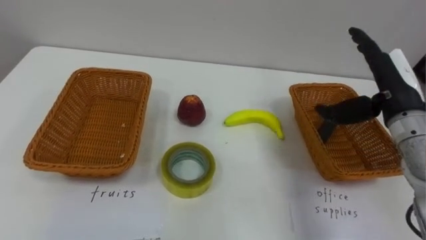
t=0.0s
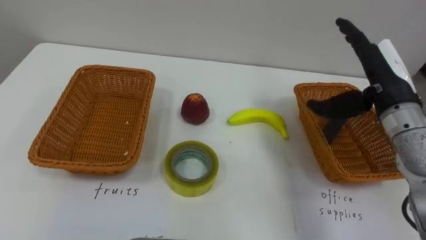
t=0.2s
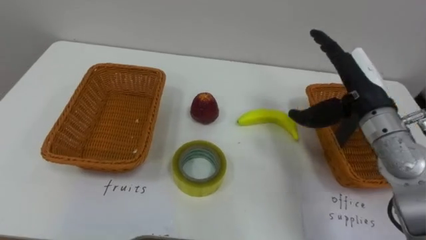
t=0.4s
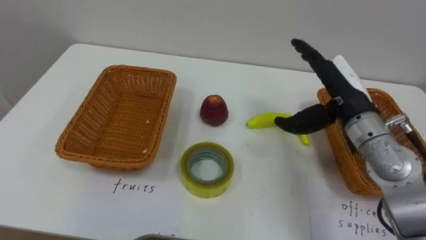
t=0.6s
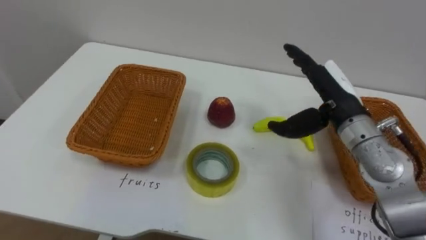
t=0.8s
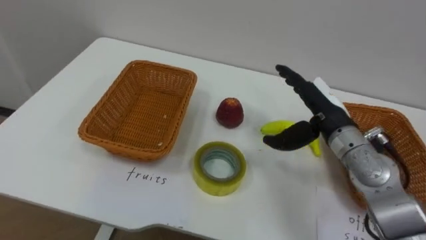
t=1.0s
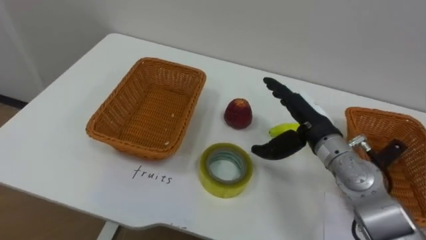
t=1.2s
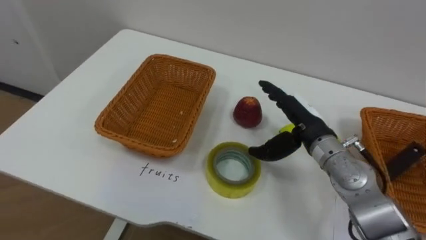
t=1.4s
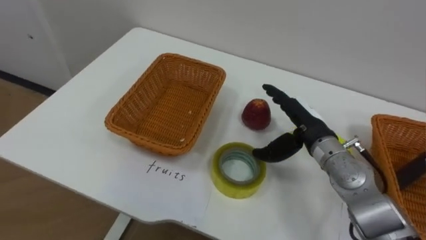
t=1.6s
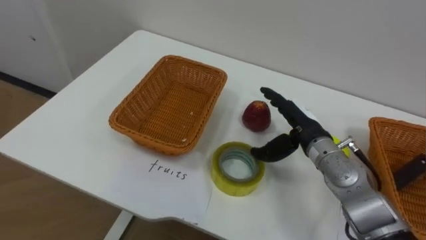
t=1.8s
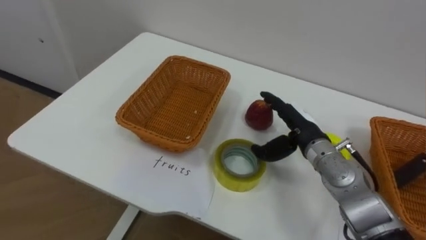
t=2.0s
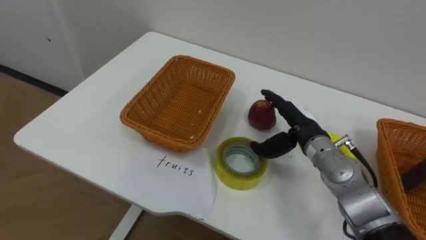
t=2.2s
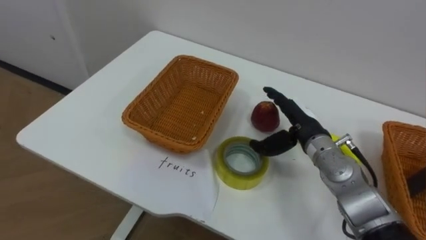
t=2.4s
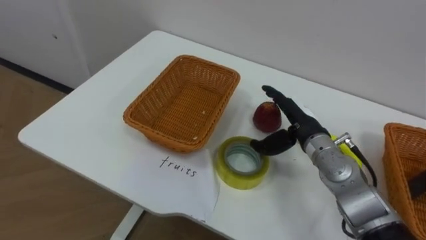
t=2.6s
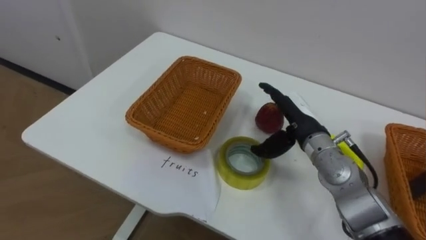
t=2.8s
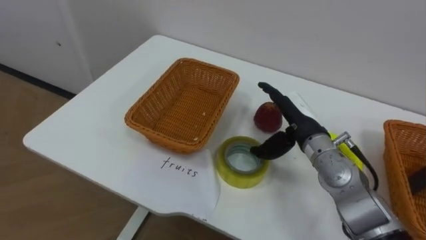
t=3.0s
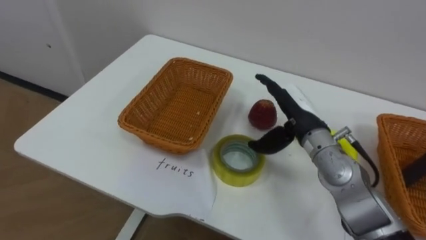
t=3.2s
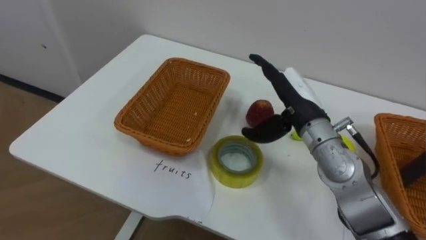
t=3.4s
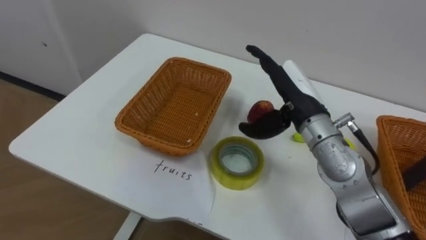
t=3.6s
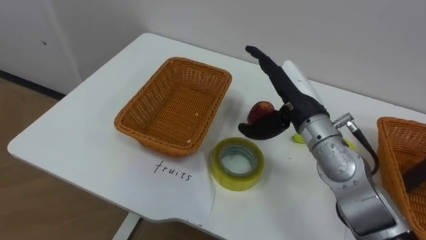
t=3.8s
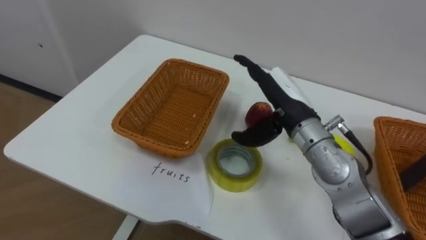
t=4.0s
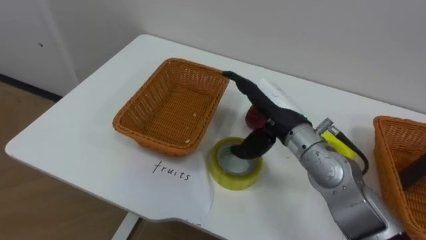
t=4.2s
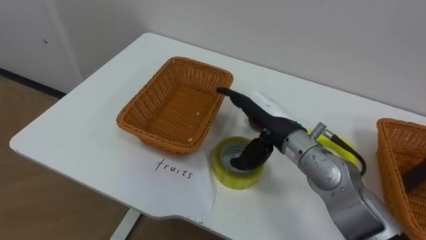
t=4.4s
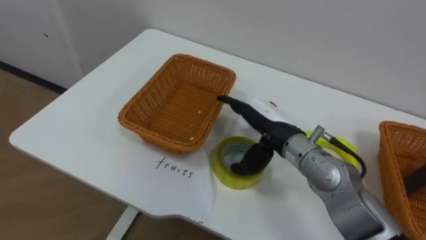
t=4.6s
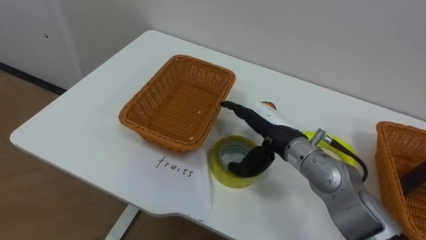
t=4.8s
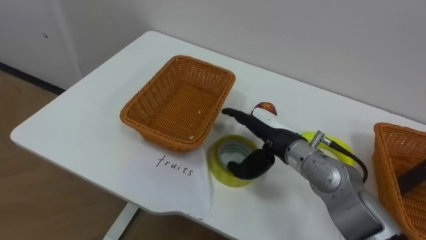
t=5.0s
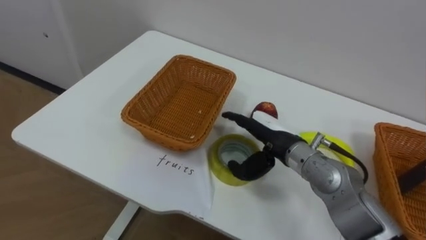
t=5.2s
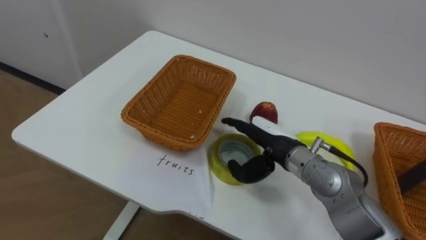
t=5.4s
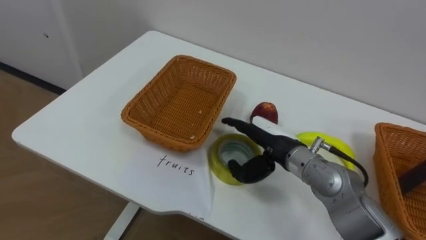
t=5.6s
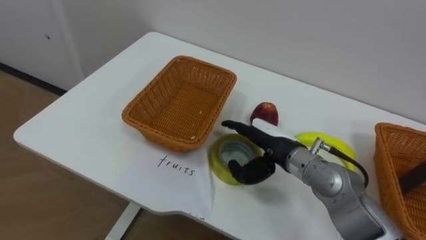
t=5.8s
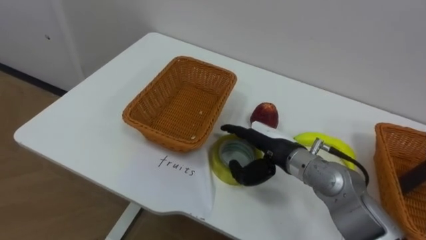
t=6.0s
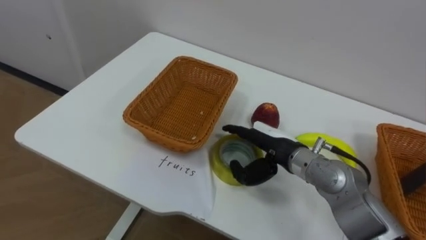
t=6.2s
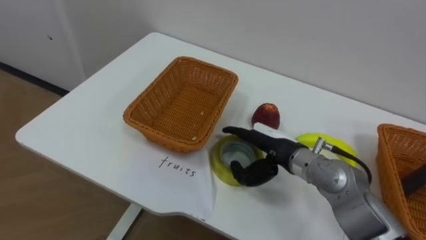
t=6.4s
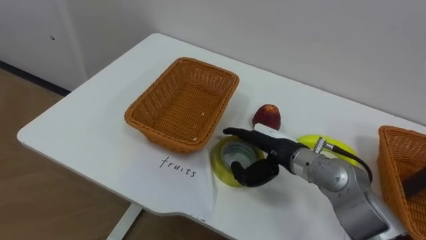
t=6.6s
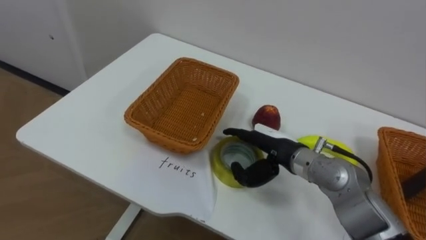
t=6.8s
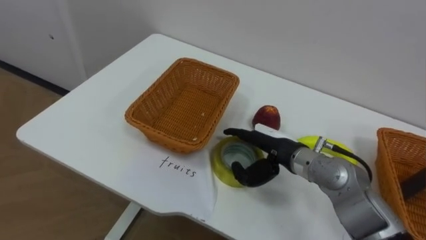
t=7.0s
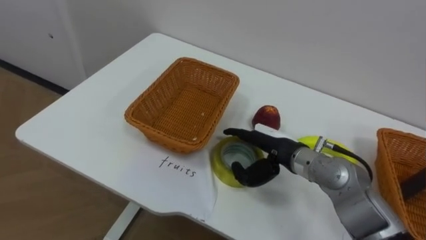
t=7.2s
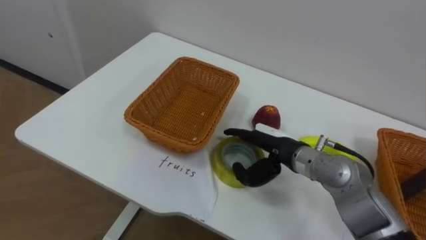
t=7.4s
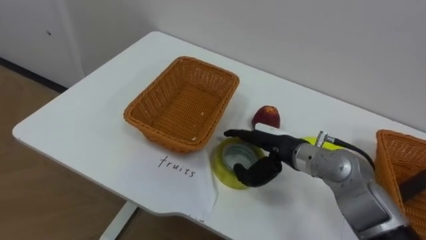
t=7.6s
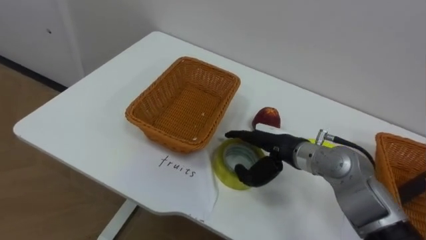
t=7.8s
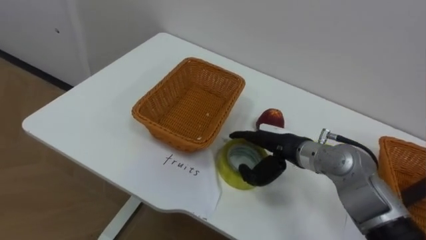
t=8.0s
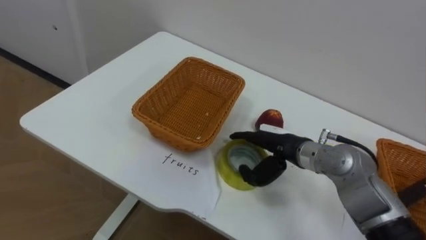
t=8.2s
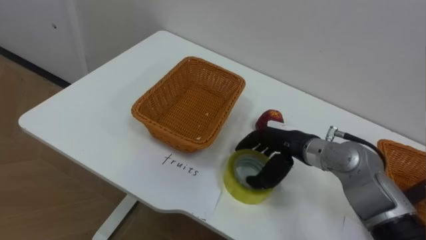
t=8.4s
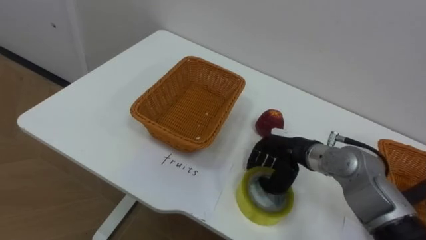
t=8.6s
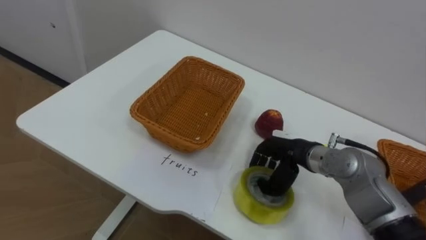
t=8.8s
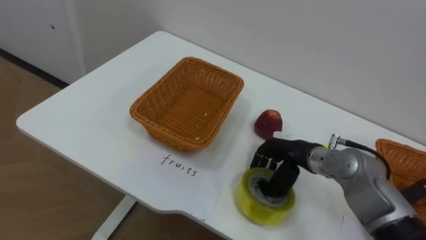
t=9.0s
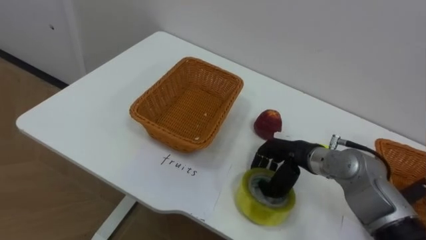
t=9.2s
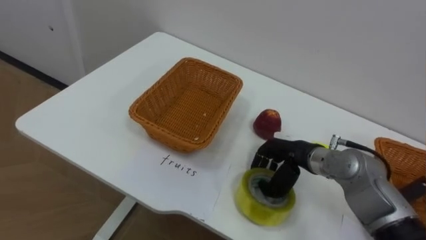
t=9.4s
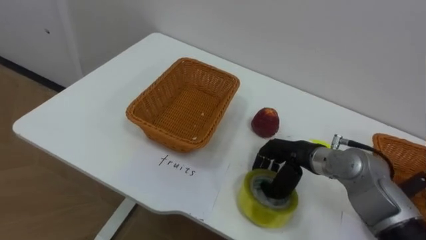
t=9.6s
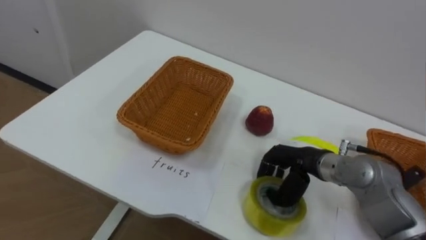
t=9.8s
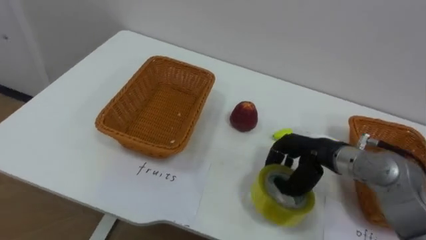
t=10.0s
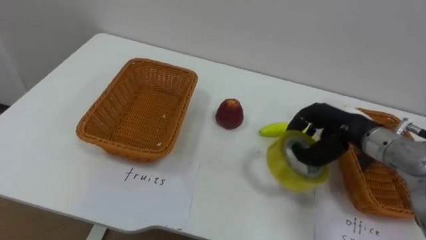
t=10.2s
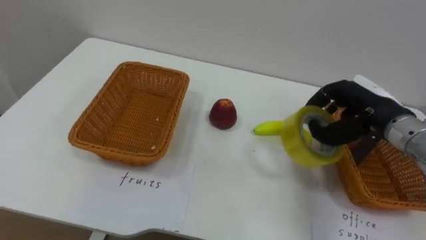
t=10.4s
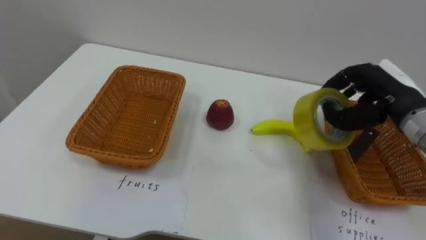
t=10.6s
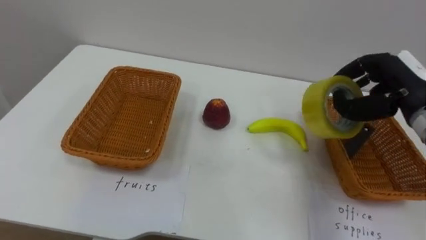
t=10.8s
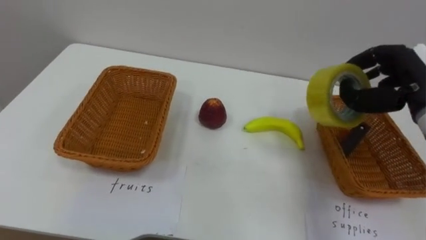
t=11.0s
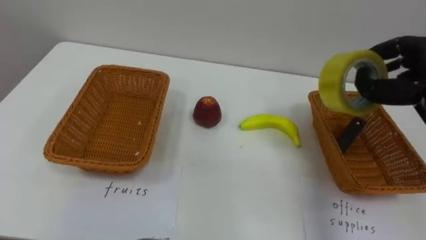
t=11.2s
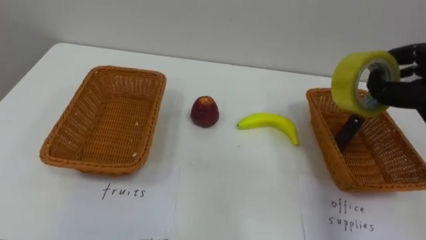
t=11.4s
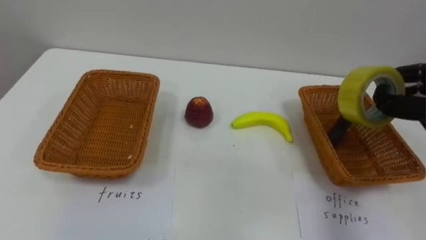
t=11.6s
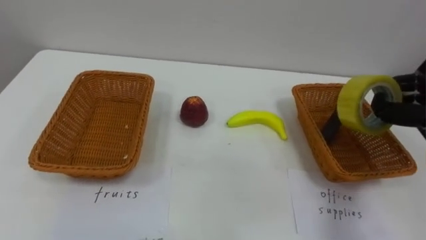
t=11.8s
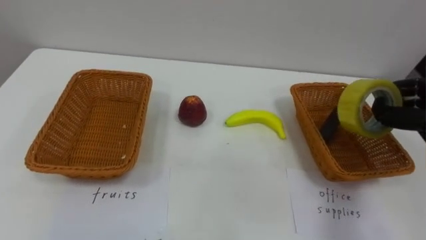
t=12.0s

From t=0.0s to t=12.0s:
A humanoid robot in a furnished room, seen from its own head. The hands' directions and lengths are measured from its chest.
Task of the whole recording: Separate the items on the table and place them into the two baskets.
From t=0.0s to t=1.6s: The right hand travels to the left and downward by approximately 15 cm.
From t=3.0s to t=4.4s: The right hand heads to the left, covering roughly 5 cm.
From t=4.4s to t=6.0s: The right hand goes some 5 cm downward.
From t=7.6s to t=9.0s: The right hand closes its fingers.
From t=9.0s to t=10.4s: The right hand is displaced upward and to the right by roughly 15 cm.

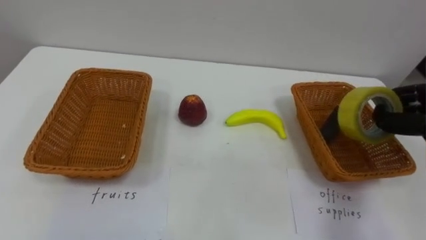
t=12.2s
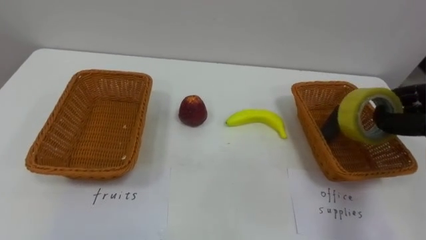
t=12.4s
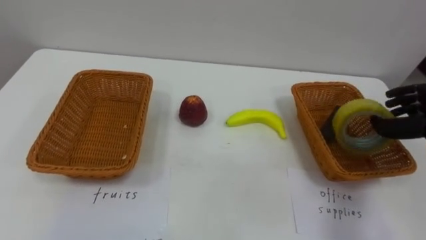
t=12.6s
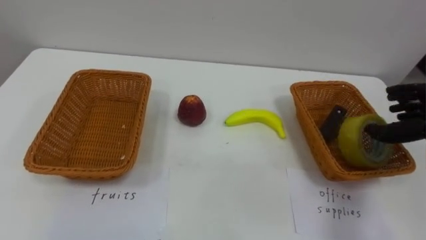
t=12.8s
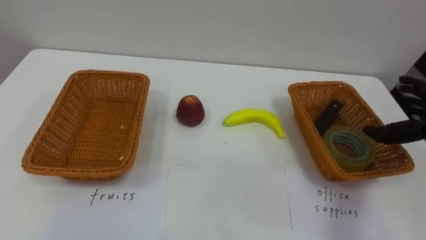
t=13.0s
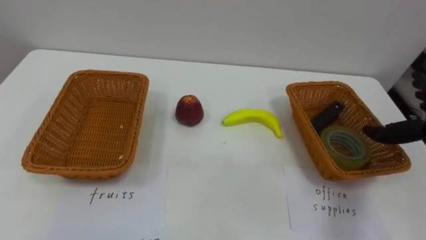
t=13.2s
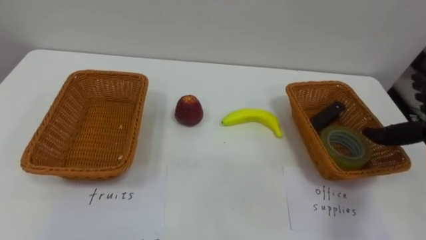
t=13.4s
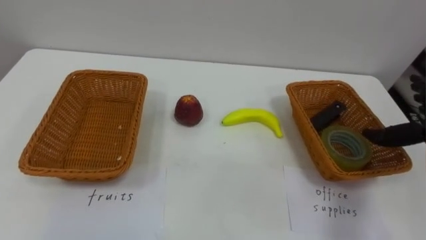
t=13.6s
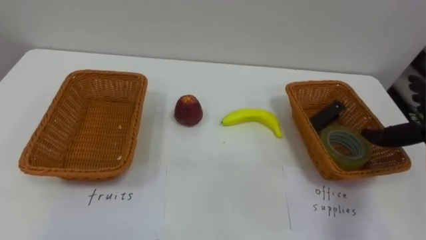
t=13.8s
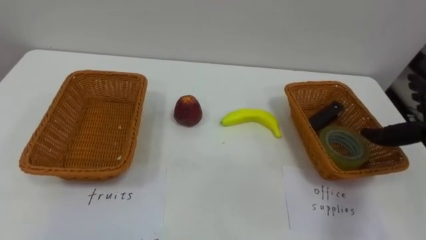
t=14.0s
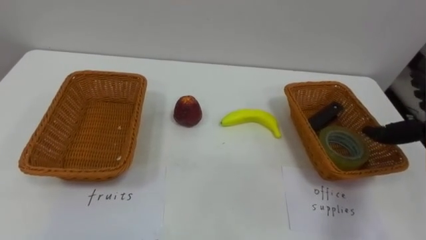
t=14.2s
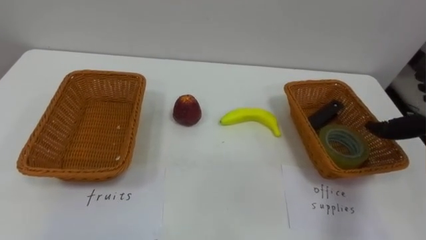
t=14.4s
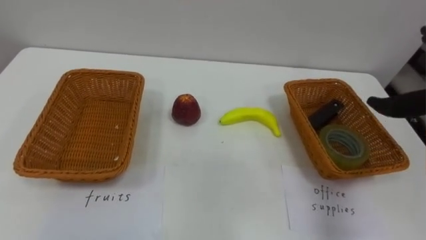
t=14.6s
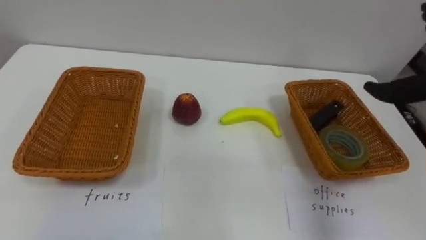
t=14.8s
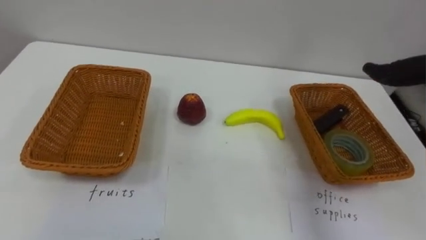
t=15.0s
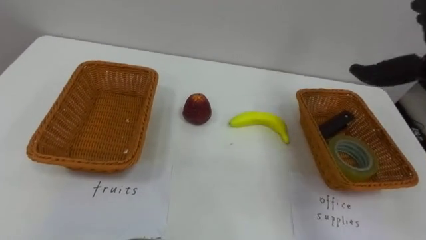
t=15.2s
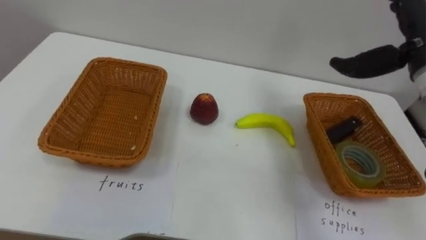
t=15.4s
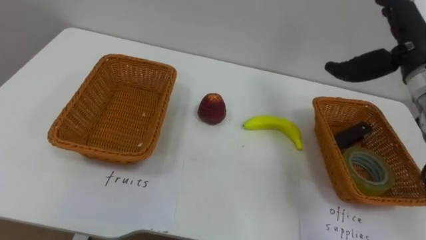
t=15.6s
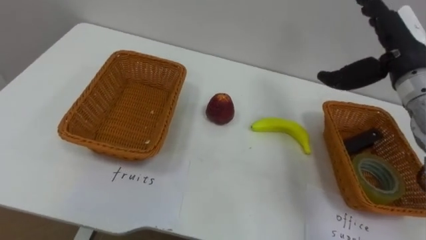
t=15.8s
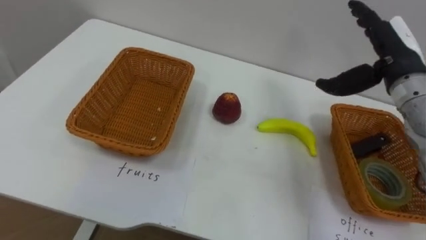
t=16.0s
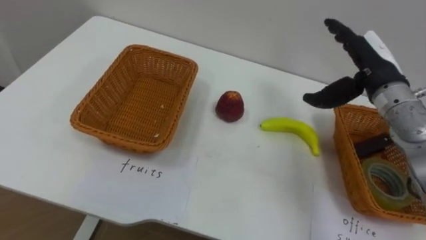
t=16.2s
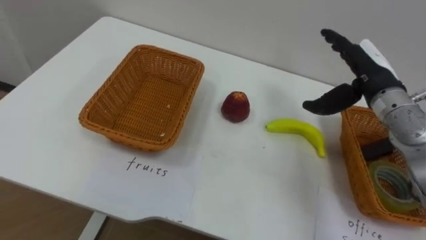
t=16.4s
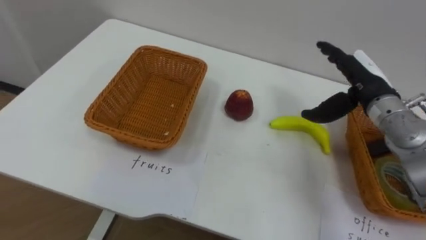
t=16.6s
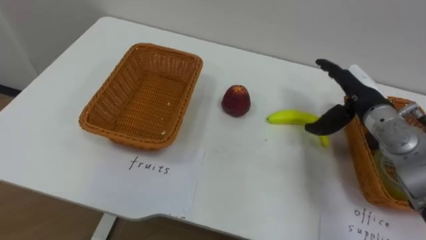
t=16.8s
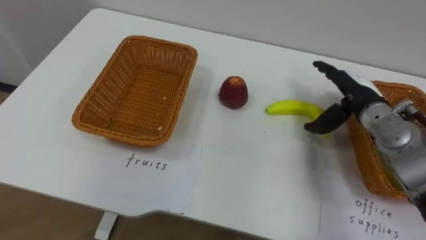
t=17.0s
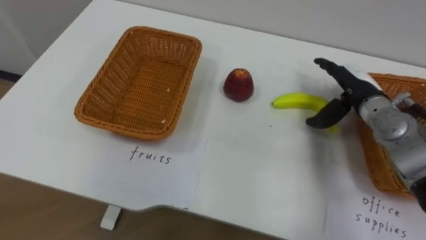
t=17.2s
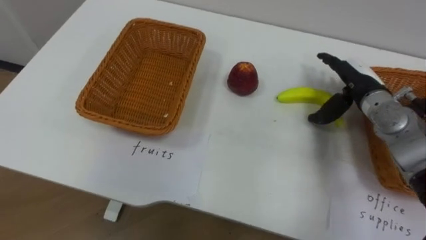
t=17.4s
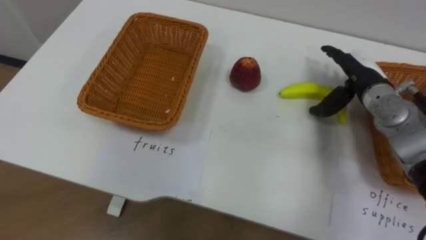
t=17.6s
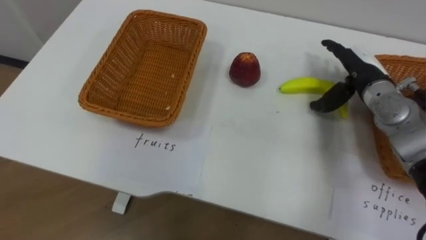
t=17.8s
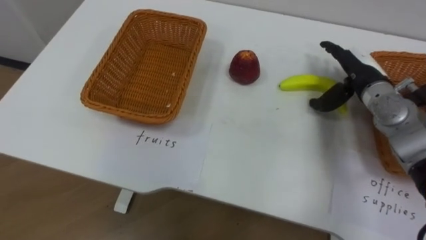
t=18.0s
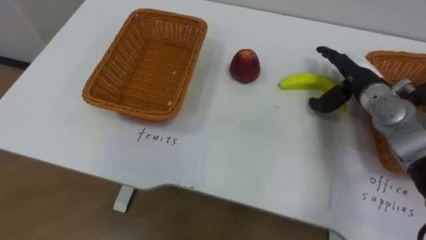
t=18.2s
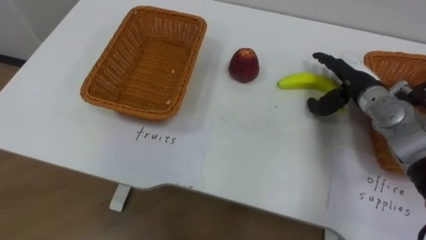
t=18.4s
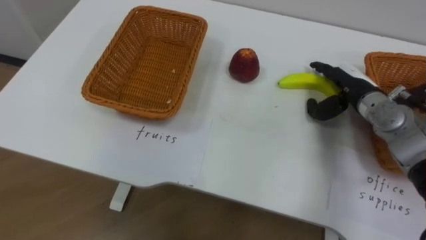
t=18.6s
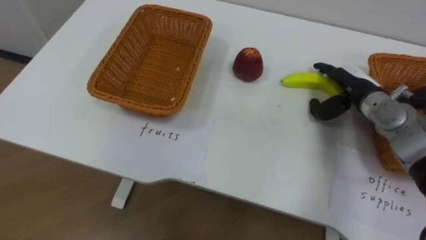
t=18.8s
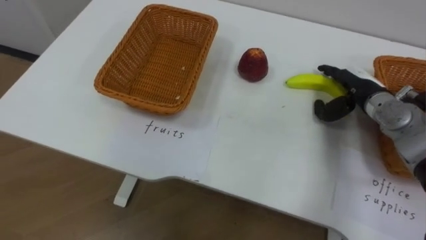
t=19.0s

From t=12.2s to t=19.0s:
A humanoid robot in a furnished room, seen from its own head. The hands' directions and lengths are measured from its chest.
Task of the whole recording: Separate the items on the table and place them into the two baskets.
From t=16.2s to t=17.6s: The right hand travels downward by roughly 5 cm.
